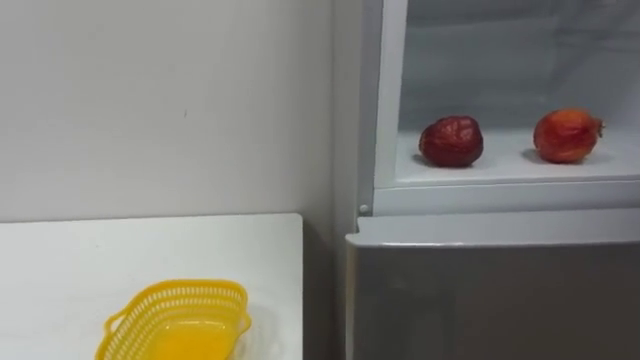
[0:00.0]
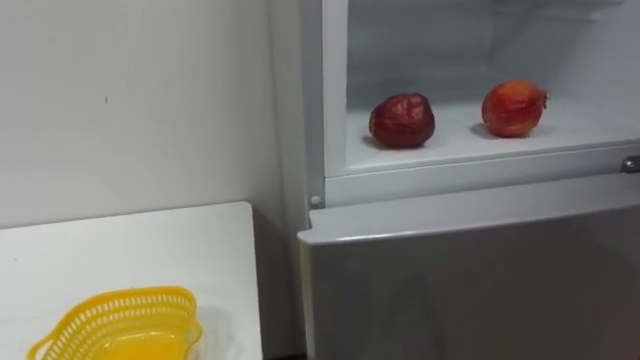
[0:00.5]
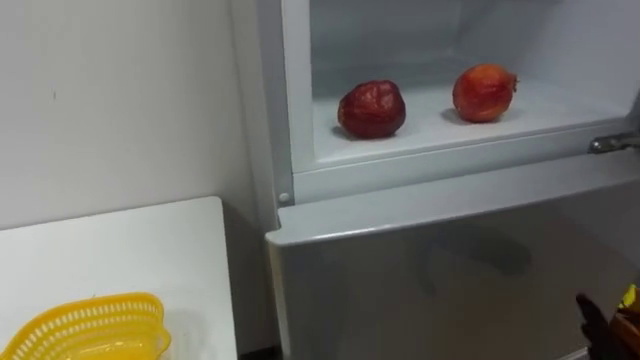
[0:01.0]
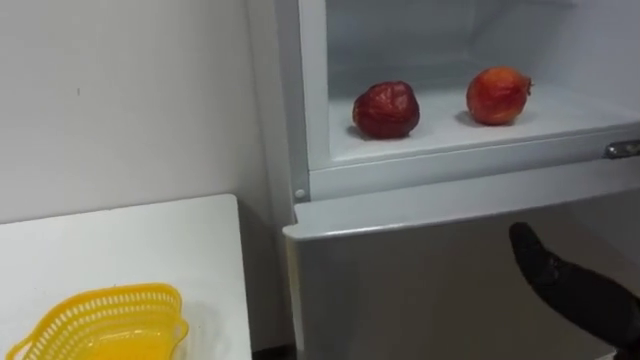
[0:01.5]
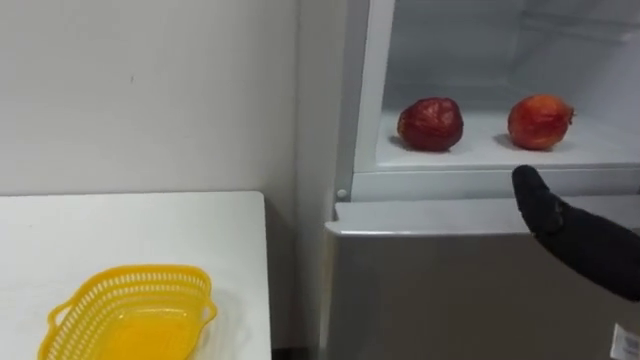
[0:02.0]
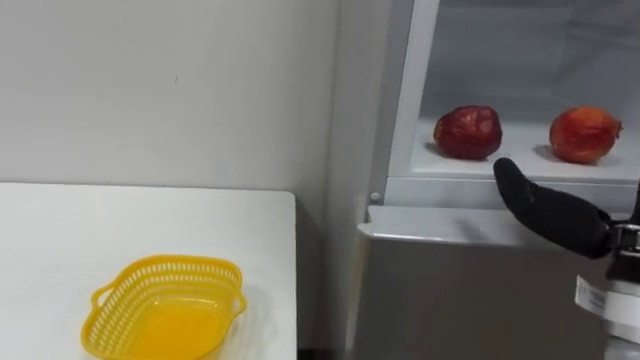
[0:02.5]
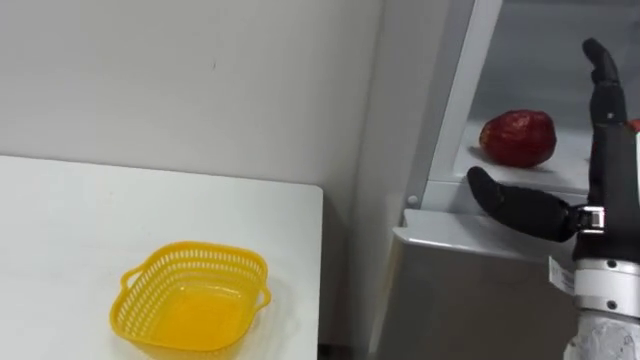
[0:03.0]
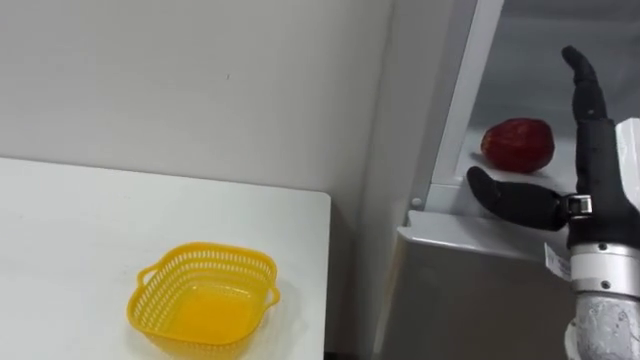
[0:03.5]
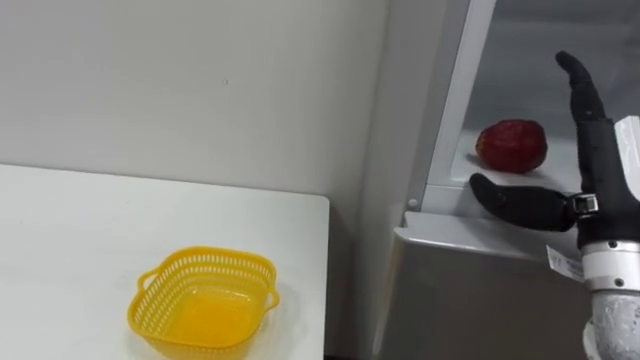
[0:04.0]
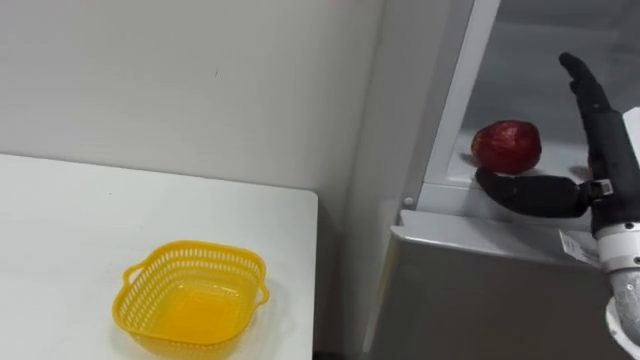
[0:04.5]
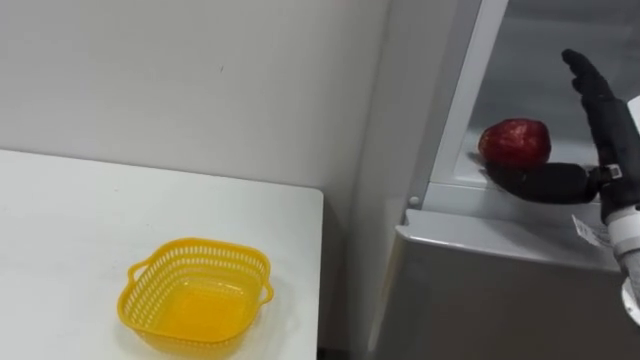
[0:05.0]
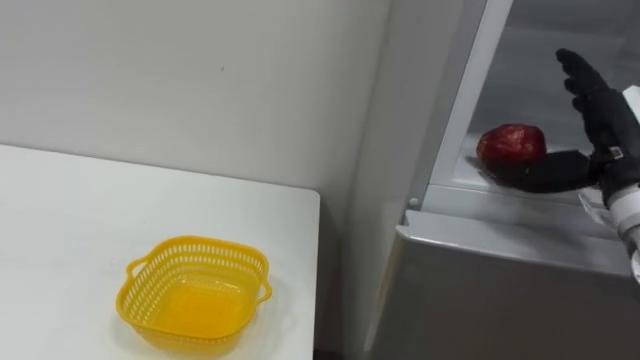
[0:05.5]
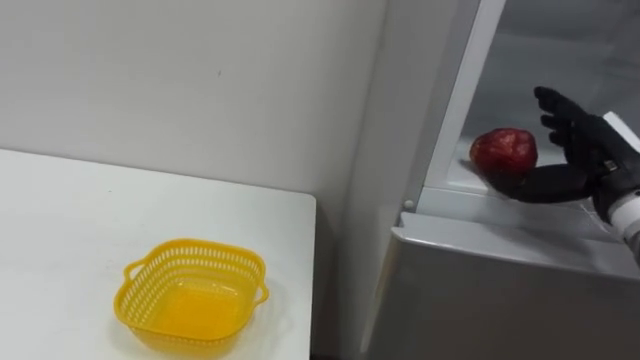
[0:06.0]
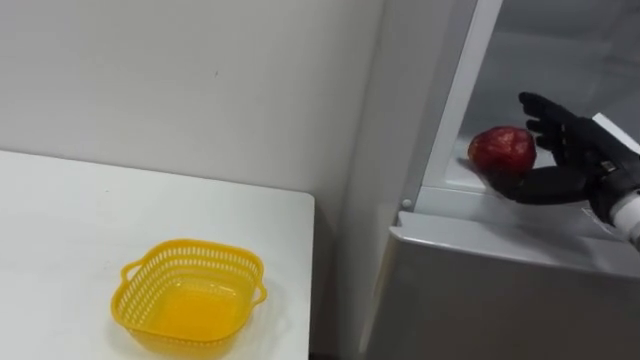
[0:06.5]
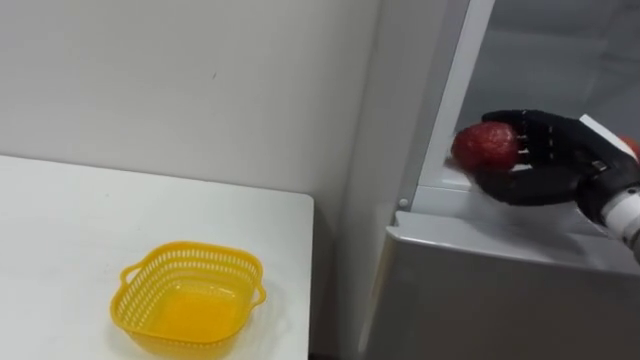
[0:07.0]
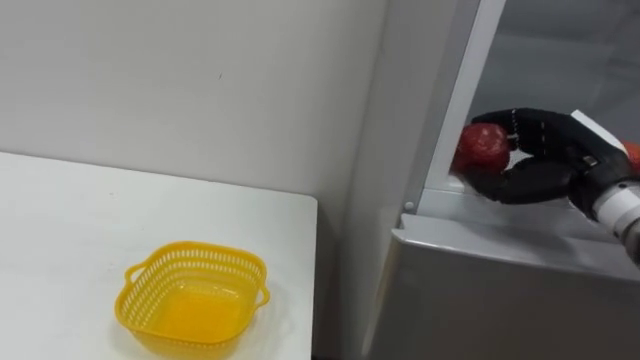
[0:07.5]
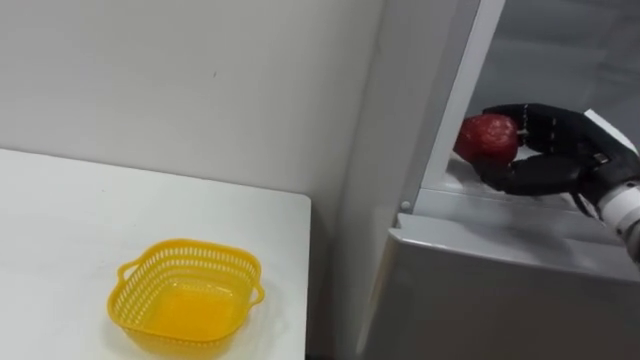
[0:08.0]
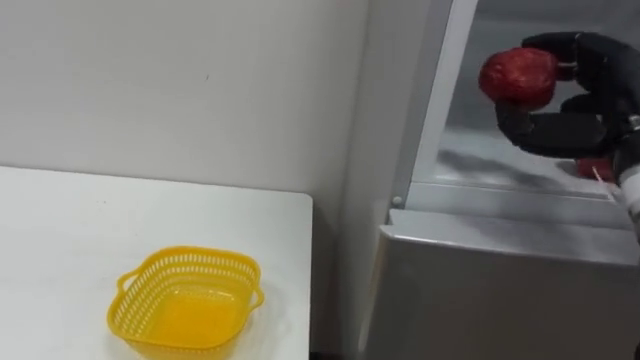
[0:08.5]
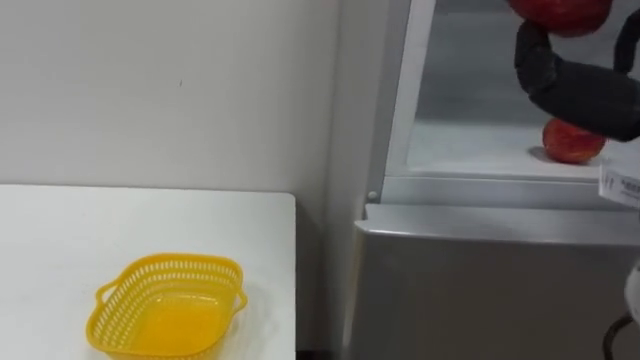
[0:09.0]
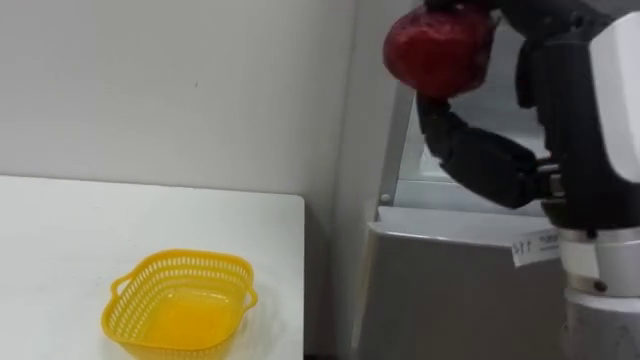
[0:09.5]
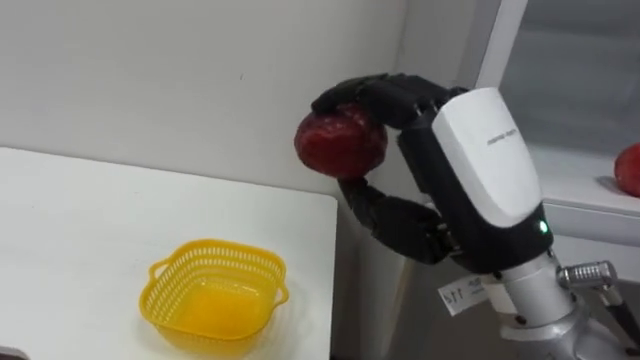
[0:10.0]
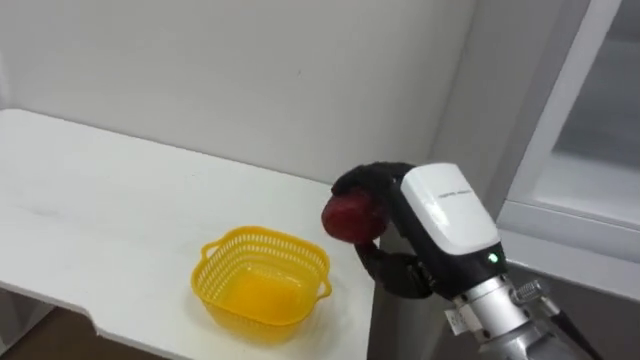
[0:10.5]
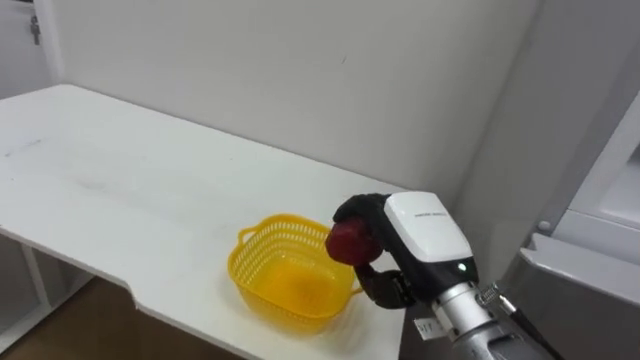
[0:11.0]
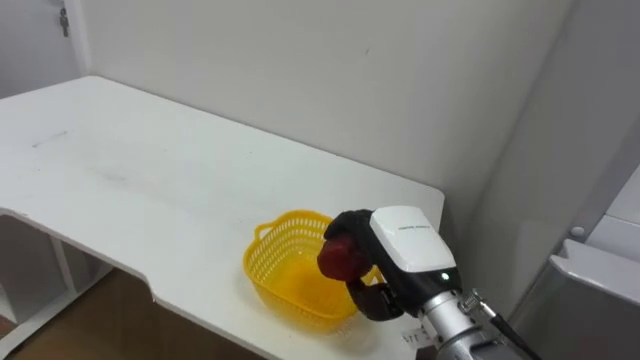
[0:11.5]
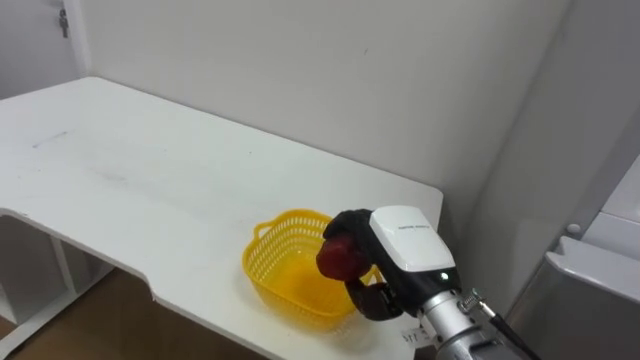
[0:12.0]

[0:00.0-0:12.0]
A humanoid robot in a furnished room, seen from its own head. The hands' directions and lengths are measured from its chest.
Task of the whole recording: Open the refrigerator door, take out the apple and the pomegranate, place them in the fruit basket on the left, and close the refrigerator door.
0:04.0 to 0:06.0: The right hand is displaced forward by approximately 5 cm.
0:06.0 to 0:08.0: The right hand closes up.
0:10.0 to 0:12.0: The right hand is displaced downward and forward by roughly 20 cm.

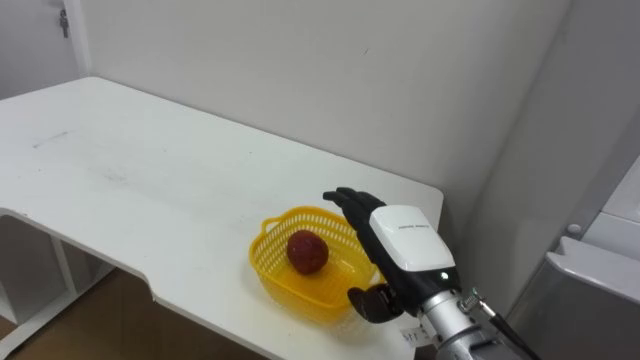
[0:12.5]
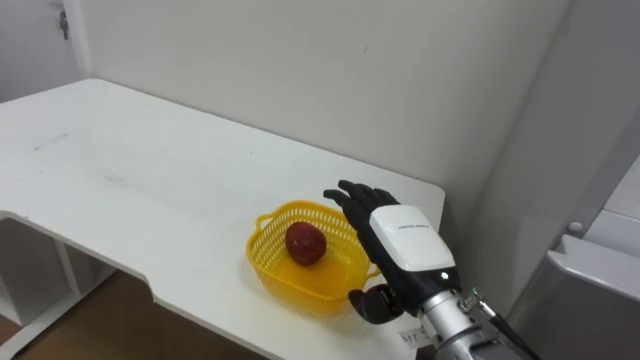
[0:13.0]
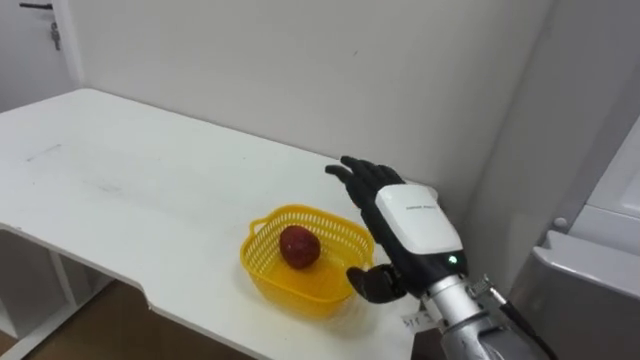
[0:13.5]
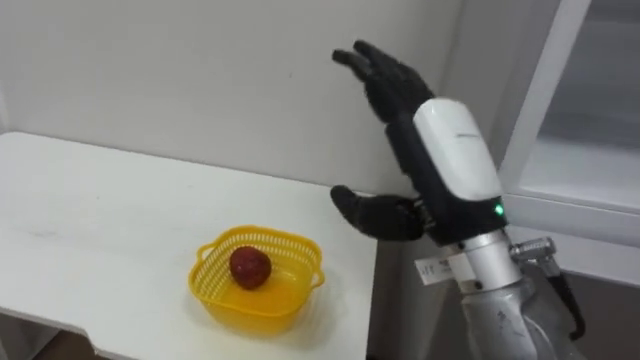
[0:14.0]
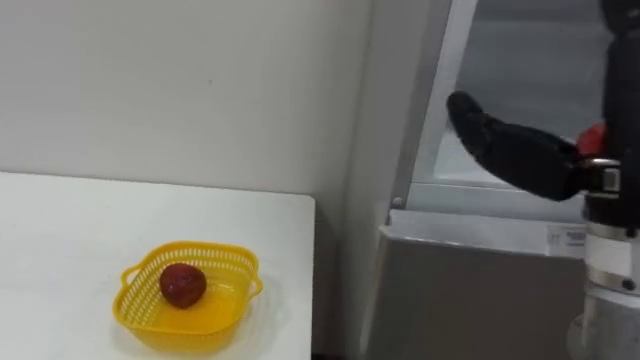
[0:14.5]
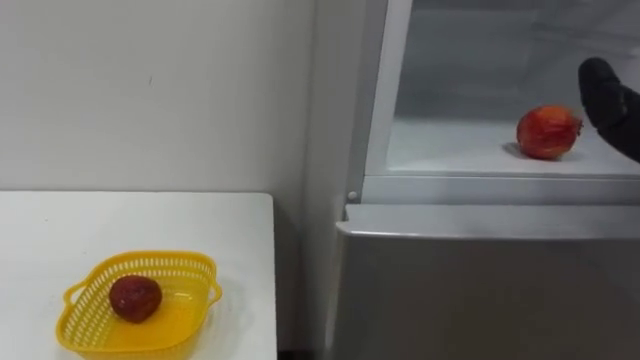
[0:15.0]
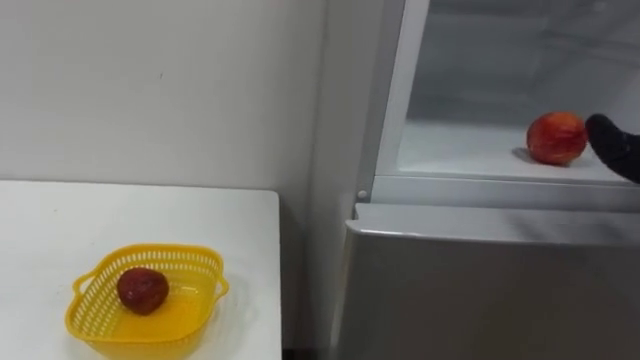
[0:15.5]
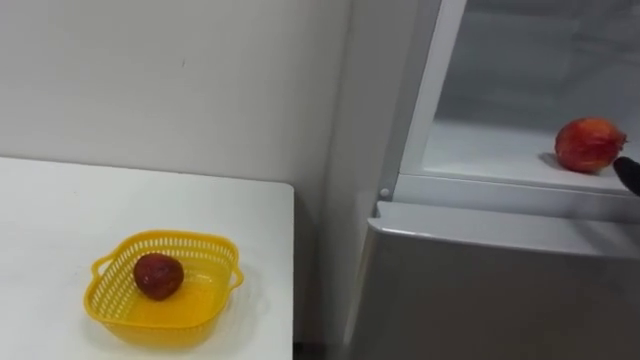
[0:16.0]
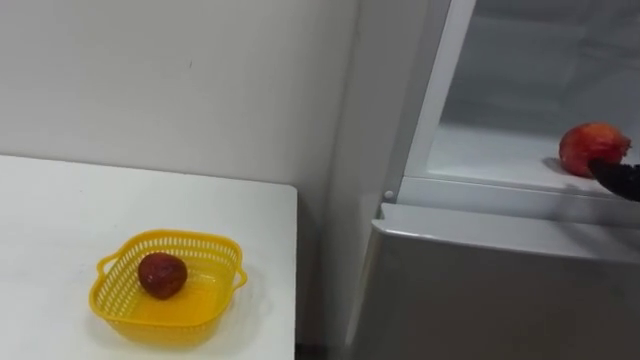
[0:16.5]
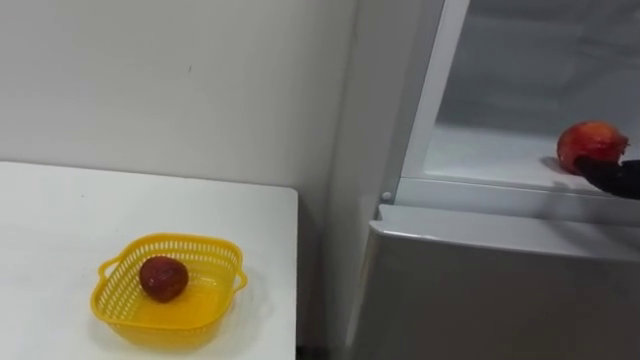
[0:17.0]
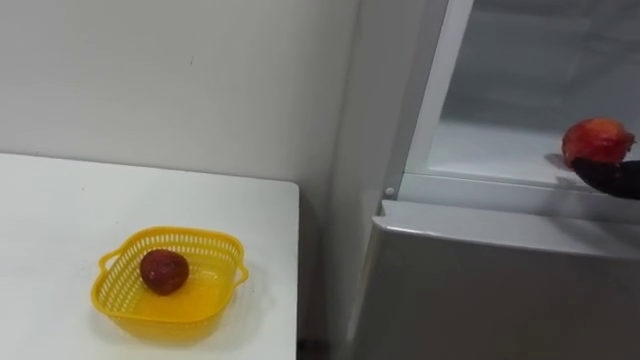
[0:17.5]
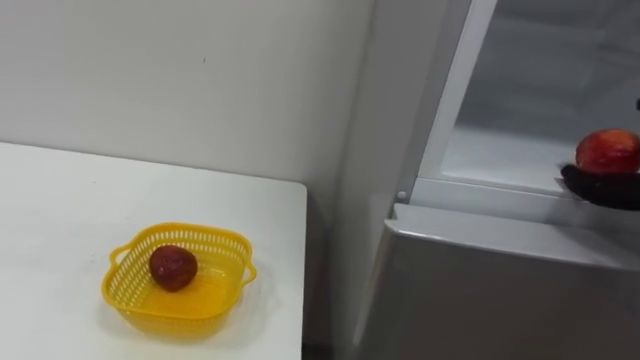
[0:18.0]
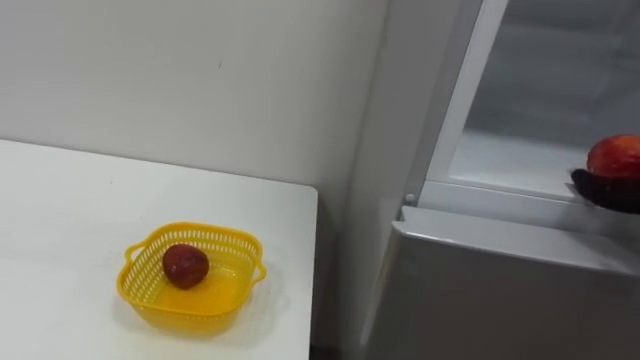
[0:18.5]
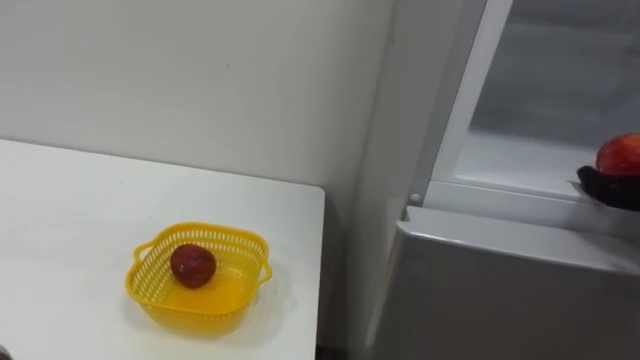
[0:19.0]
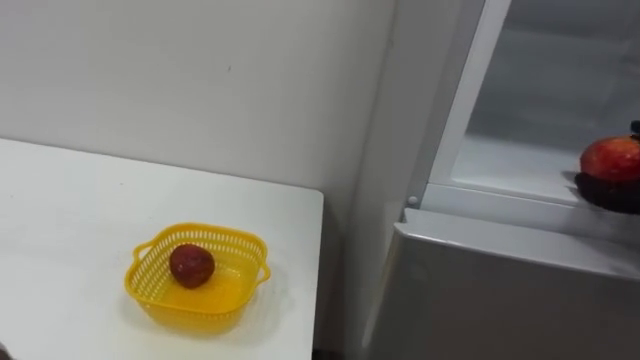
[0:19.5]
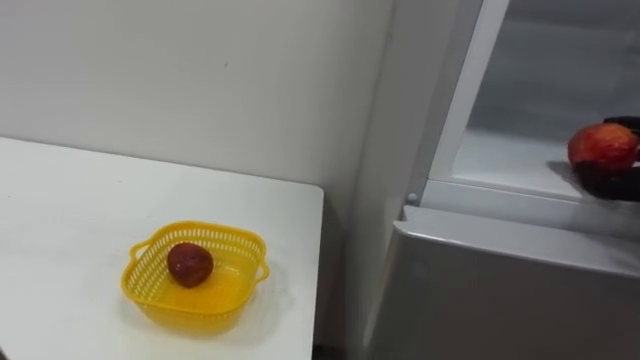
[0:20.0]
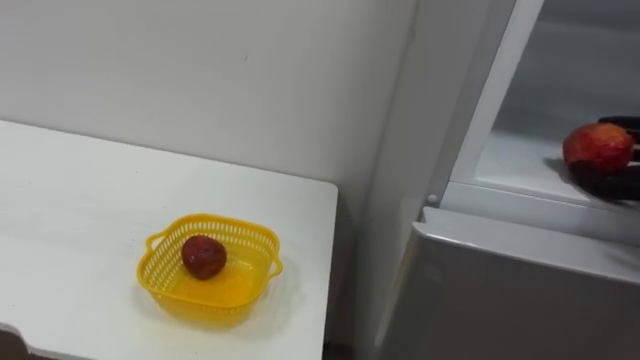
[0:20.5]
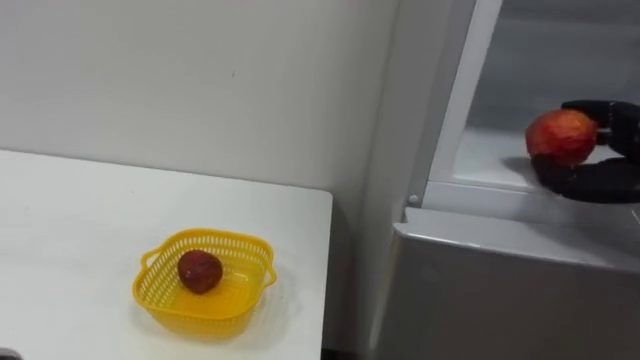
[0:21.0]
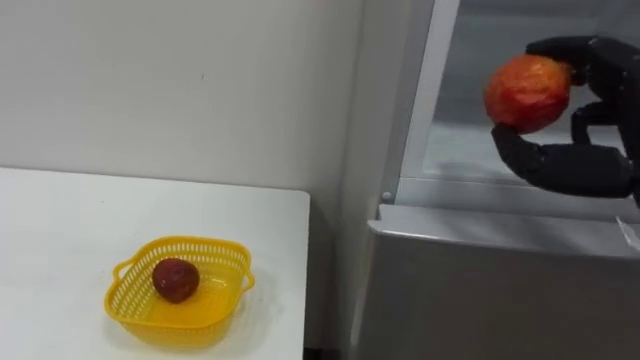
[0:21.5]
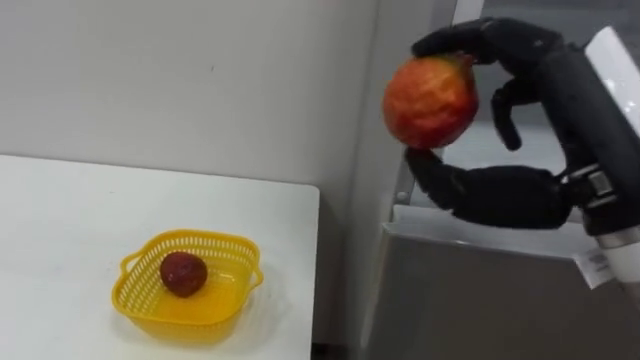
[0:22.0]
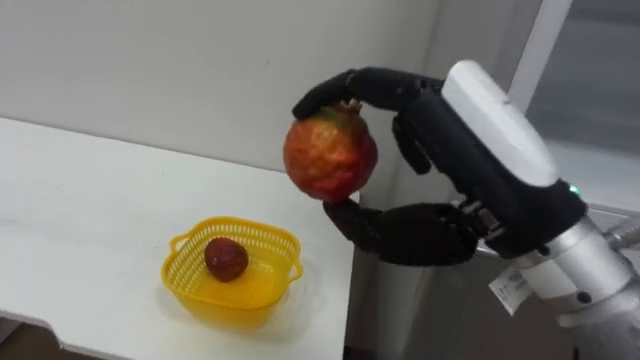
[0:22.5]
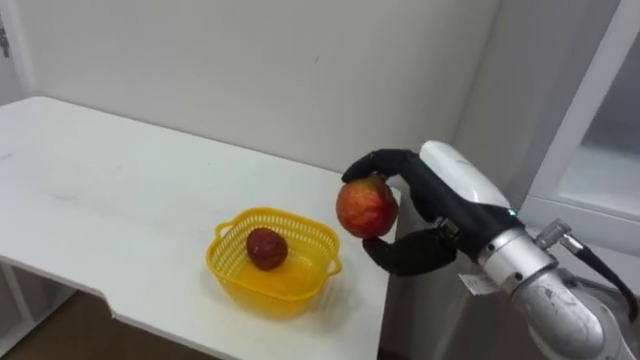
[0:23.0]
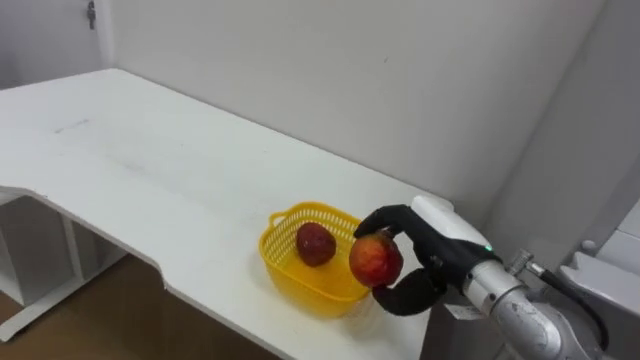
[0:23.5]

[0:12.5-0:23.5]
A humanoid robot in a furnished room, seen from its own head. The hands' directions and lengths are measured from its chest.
Task of the whole recording: Open the refrigerator door, take out the apple and the pomegranate, place them in the fruit basket on the left, and close the refrigerator door.
0:12.5 to 0:14.5: The right hand travels upward, to the right and backward by roughly 25 cm.
